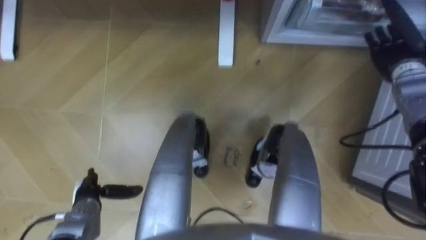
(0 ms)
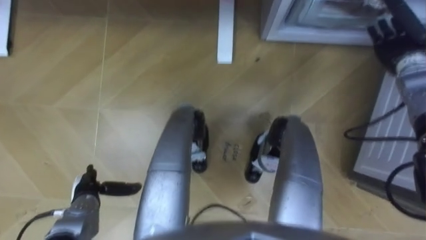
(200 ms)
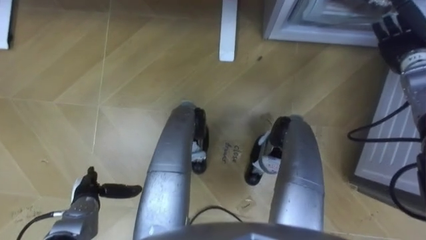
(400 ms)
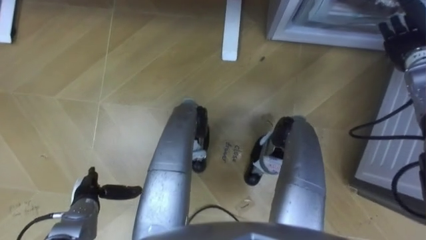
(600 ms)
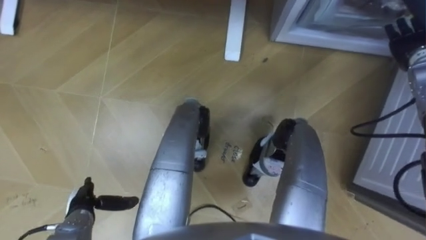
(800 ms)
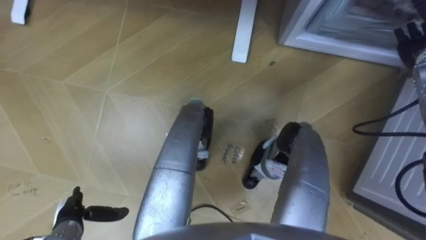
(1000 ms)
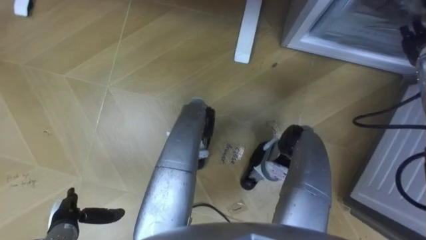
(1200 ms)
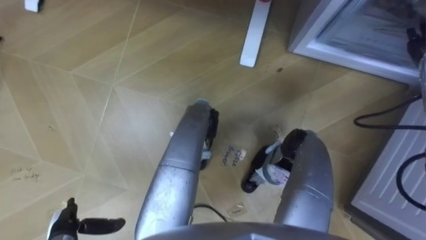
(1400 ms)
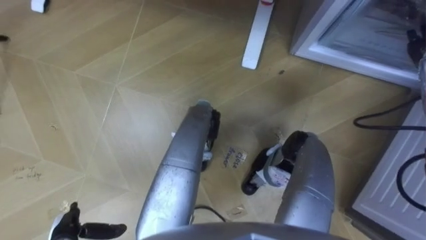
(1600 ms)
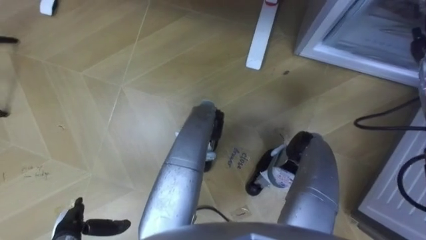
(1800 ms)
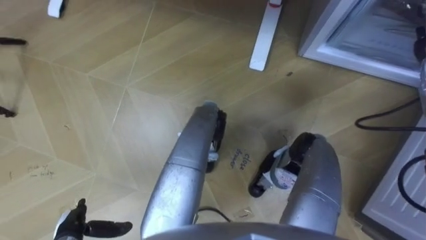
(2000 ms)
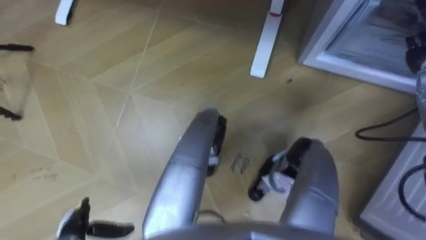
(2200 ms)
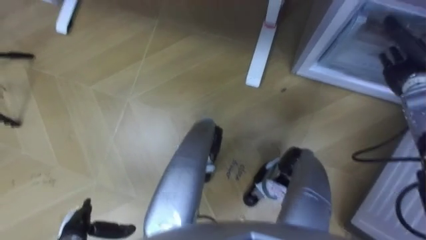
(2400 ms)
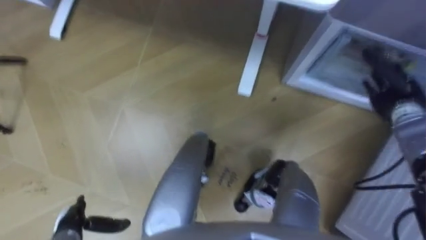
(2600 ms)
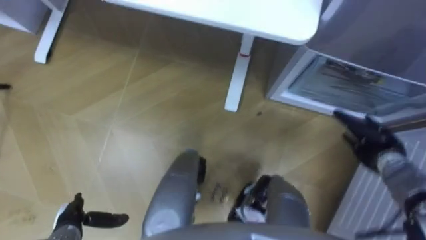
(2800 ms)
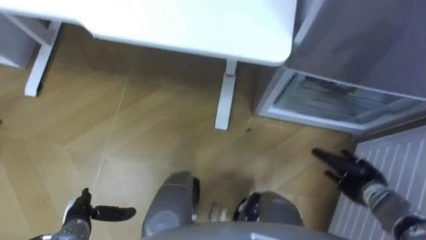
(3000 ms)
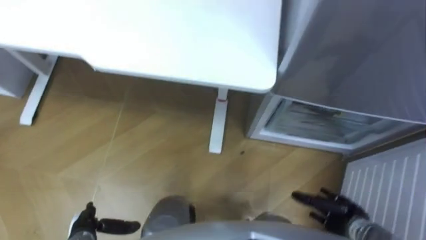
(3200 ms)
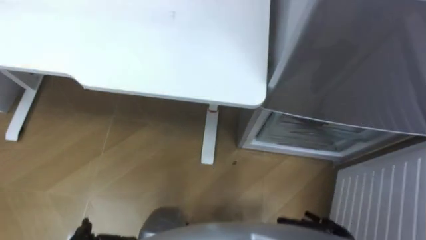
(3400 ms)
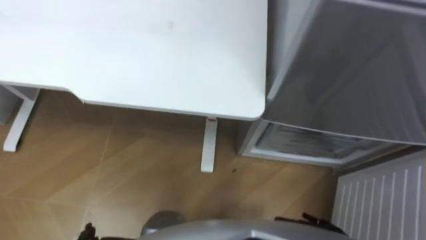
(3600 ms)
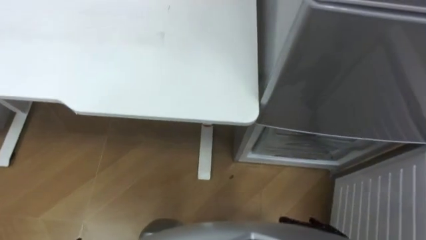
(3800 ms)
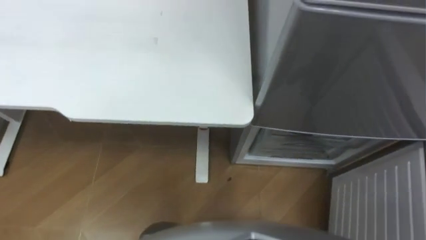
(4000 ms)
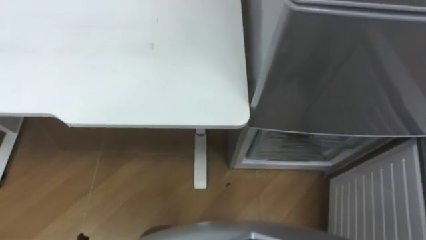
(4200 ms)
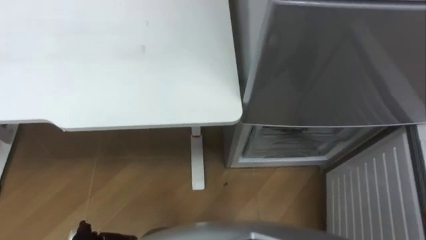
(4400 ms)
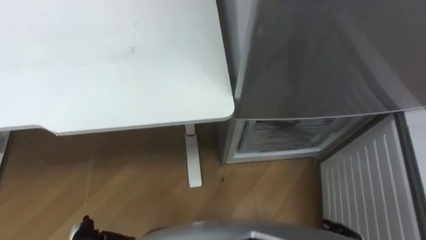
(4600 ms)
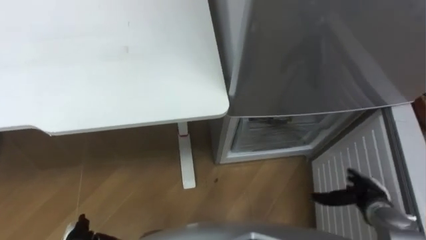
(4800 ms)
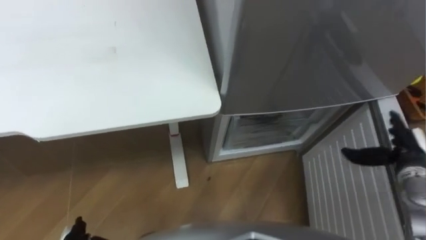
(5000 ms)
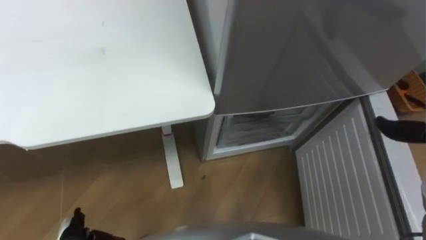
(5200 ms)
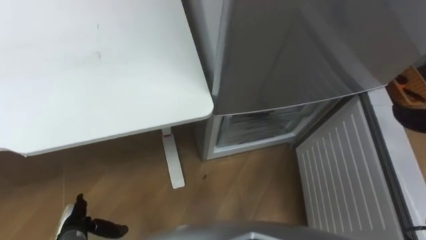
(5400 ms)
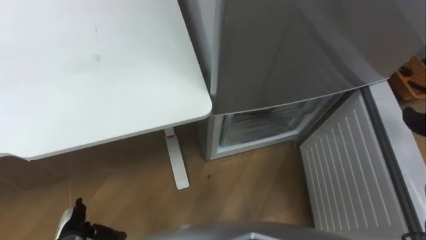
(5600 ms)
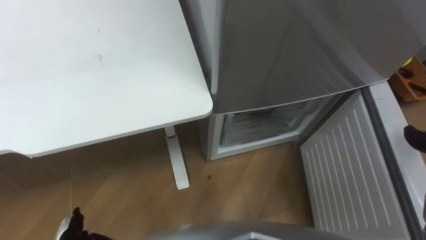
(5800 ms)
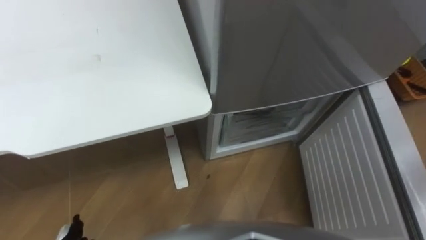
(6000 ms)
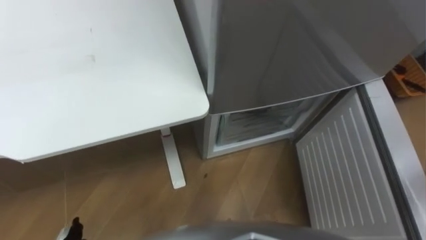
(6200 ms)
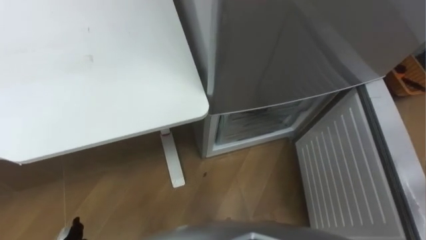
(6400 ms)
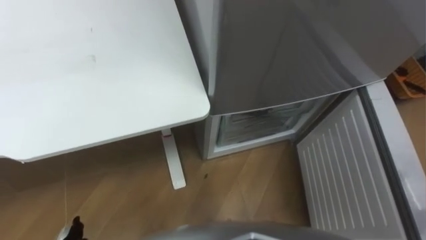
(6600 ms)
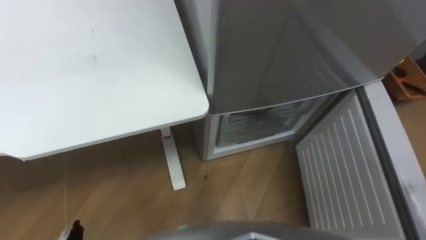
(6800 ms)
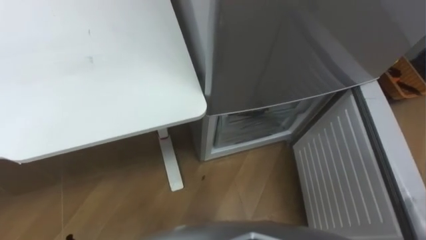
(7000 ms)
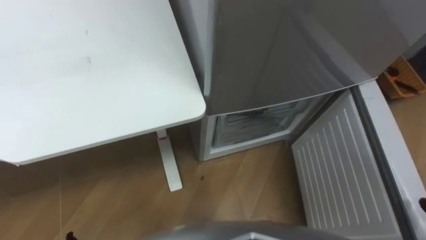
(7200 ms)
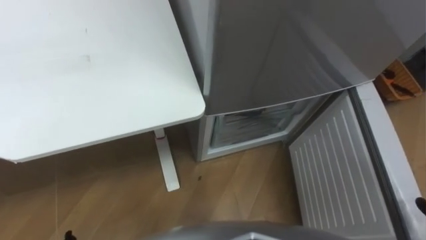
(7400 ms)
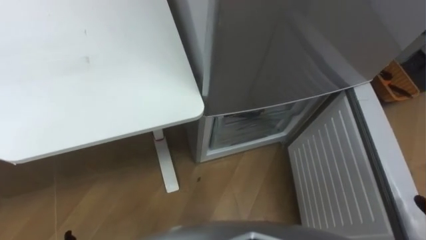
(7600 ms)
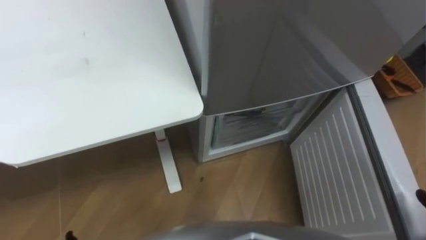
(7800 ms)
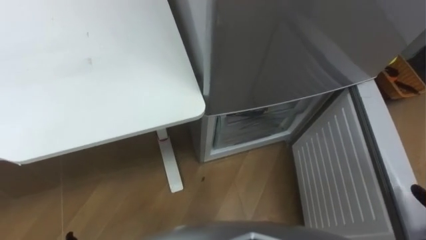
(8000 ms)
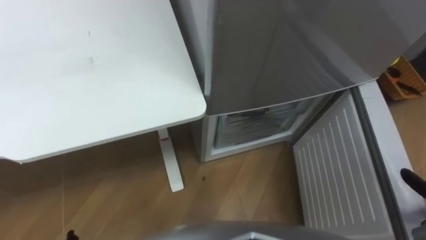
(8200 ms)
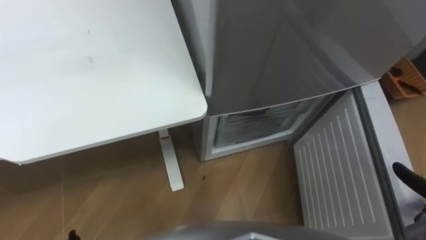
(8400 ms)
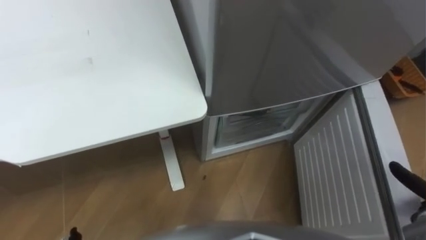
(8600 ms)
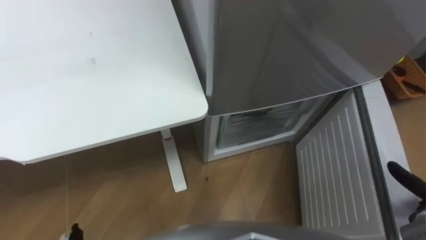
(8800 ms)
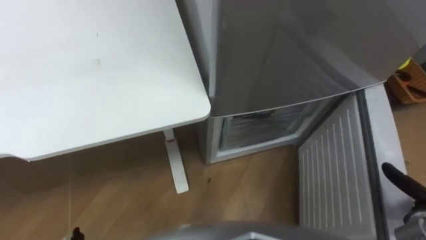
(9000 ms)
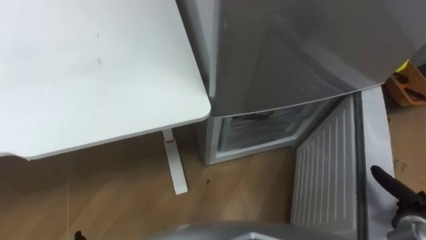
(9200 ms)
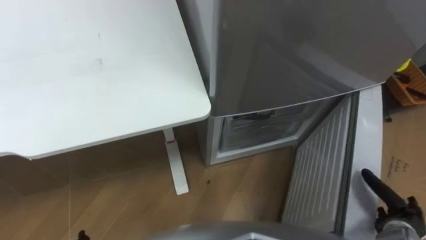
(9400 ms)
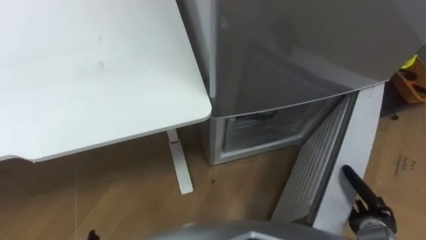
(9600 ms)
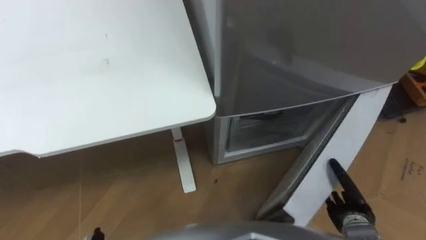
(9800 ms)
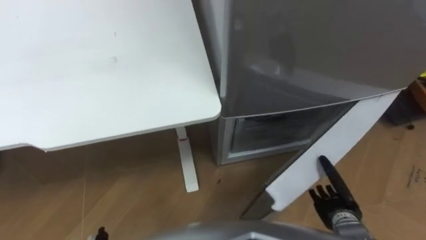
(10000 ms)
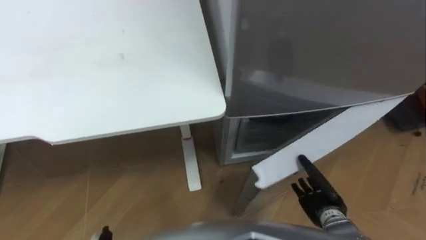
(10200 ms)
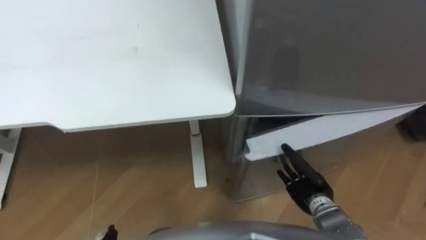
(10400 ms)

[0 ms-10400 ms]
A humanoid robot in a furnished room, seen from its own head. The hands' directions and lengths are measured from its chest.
Task of the whole recording: Place the drink on the table on the bottom shelf of the refrigerator, then close the drawer and the refrigerator door.
0 ms to 1400 ms: The left hand goes roughly 5 cm backward.
9000 ms to 10400 ms: The right hand shifts some 20 cm to the left.

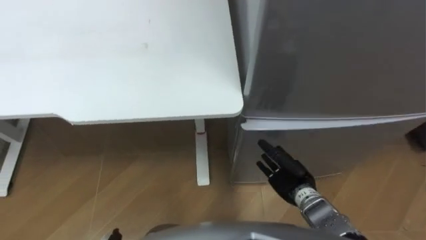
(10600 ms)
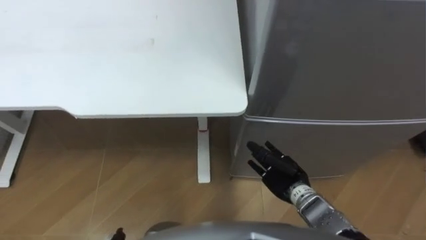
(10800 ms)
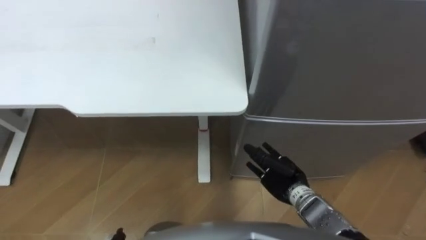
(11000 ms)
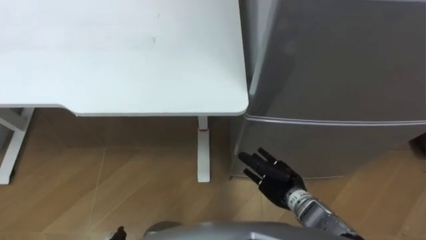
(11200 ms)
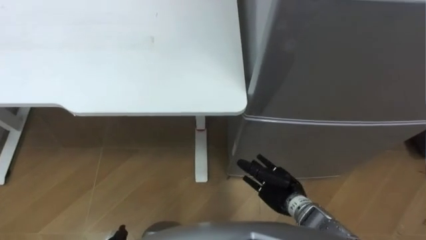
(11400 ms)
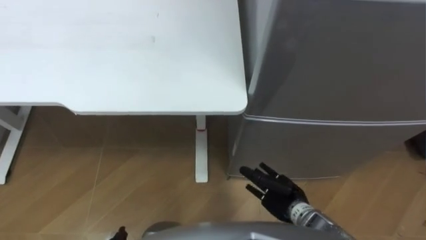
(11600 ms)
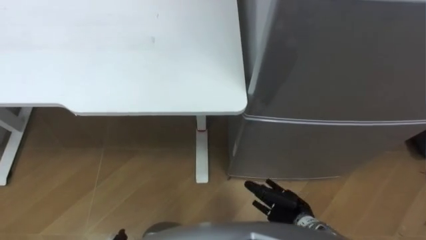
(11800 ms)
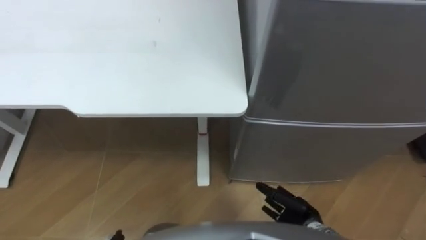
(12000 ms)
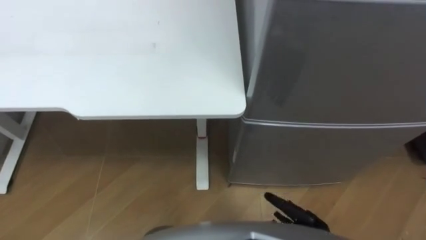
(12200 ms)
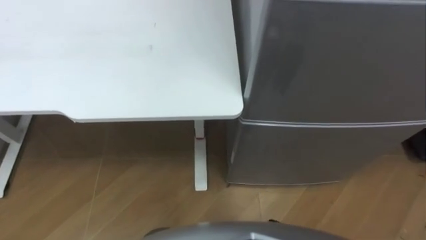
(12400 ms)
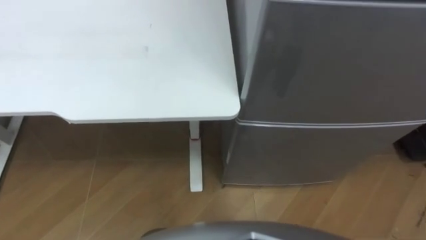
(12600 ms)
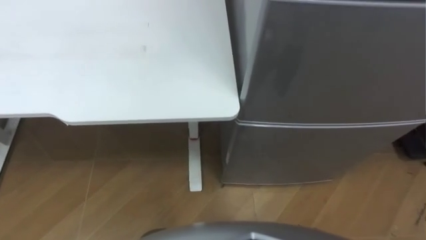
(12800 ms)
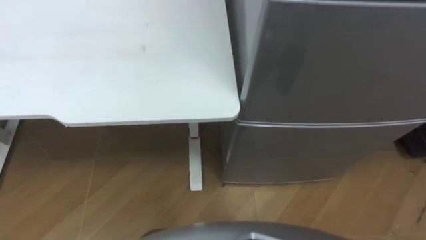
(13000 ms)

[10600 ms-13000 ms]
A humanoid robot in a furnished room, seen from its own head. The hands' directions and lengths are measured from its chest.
Task of the whole recording: Place the drink on the table on the bottom shelf of the refrigerator, then close the drawer and the refrigerator door.
10600 ms to 11800 ms: The right hand moves backward, approximately 5 cm.

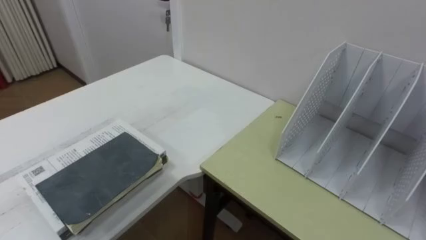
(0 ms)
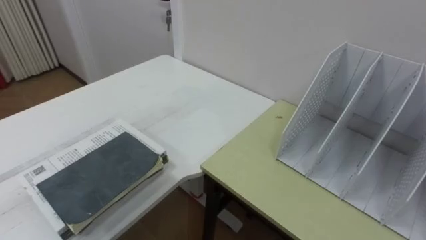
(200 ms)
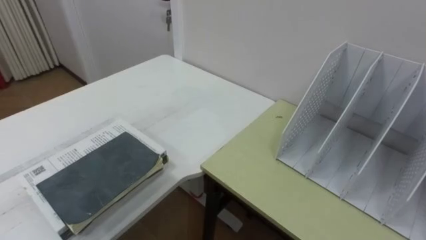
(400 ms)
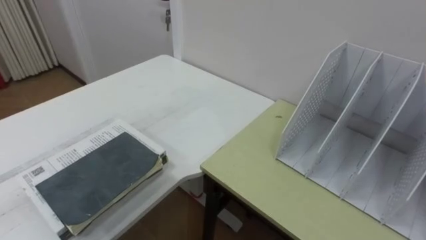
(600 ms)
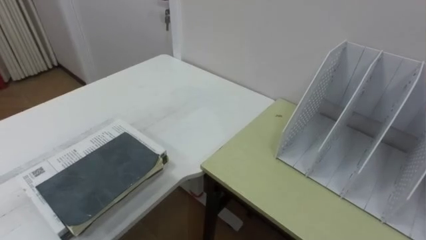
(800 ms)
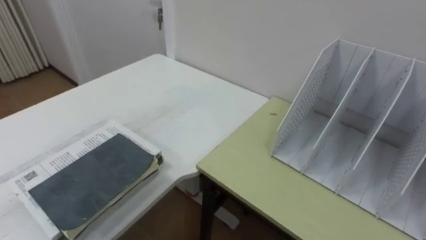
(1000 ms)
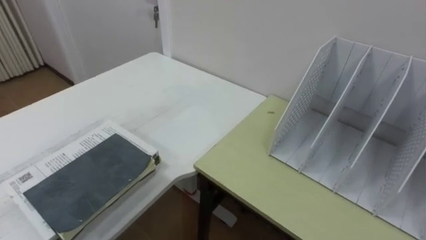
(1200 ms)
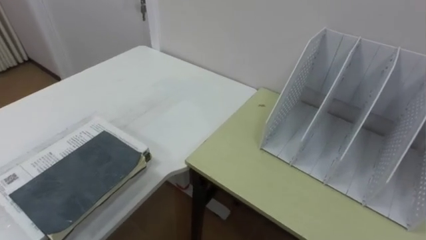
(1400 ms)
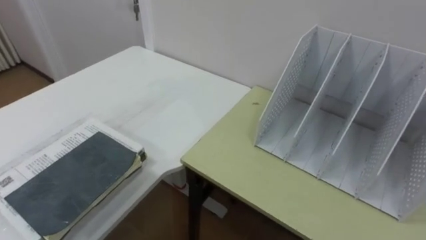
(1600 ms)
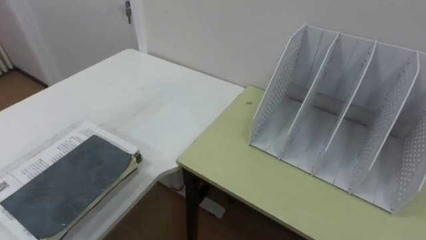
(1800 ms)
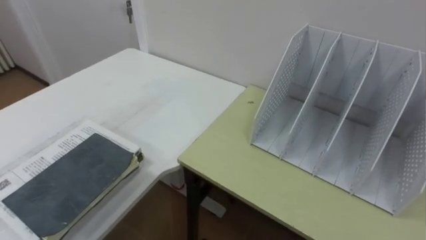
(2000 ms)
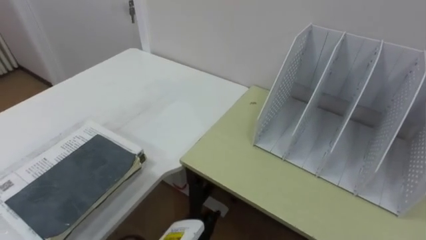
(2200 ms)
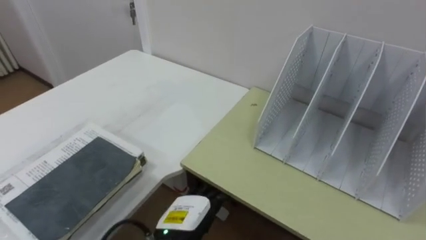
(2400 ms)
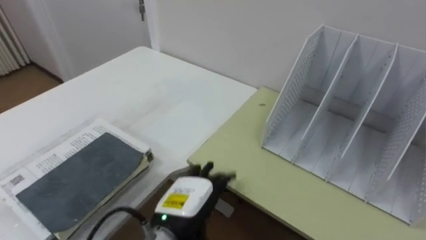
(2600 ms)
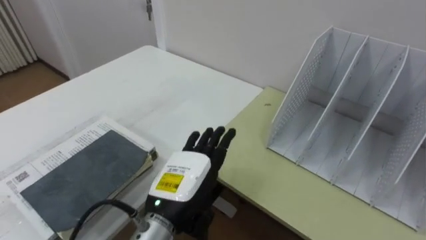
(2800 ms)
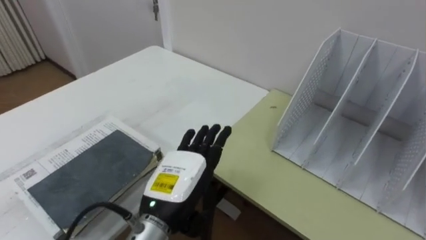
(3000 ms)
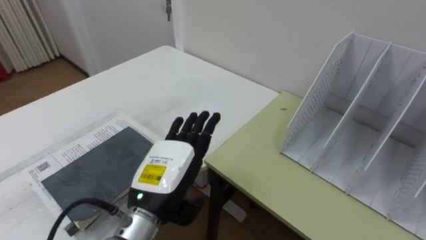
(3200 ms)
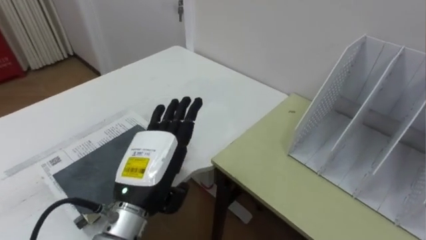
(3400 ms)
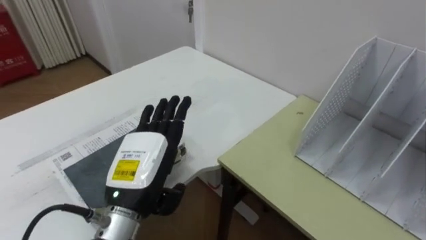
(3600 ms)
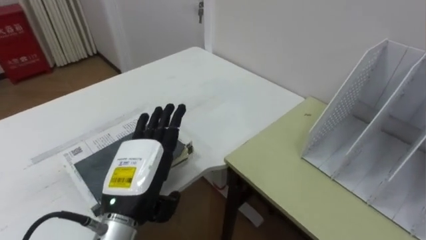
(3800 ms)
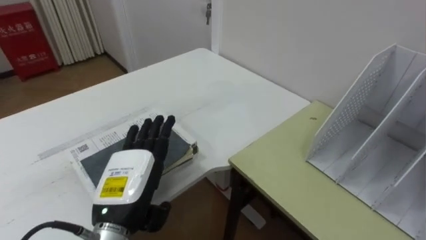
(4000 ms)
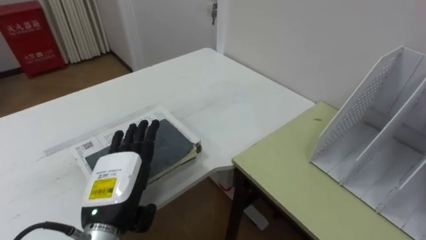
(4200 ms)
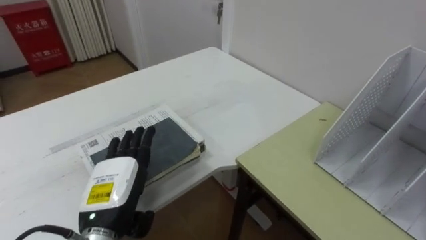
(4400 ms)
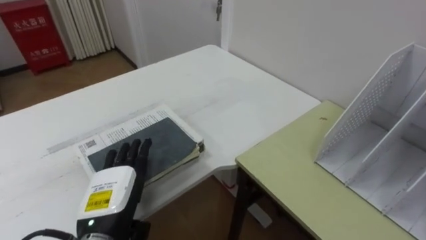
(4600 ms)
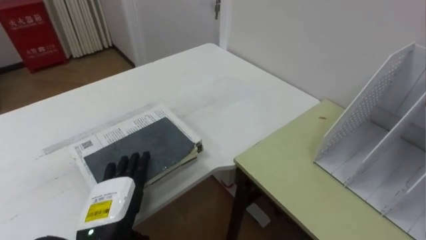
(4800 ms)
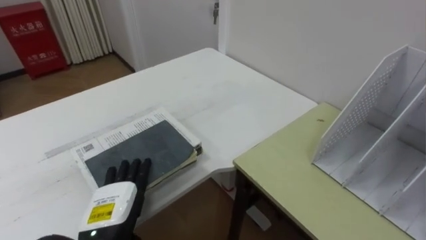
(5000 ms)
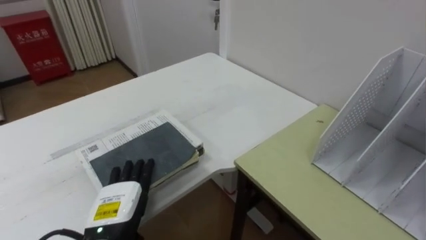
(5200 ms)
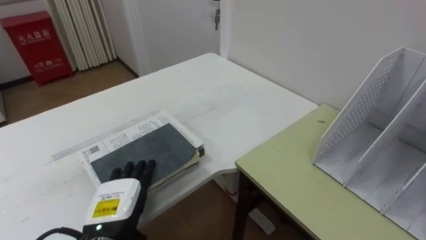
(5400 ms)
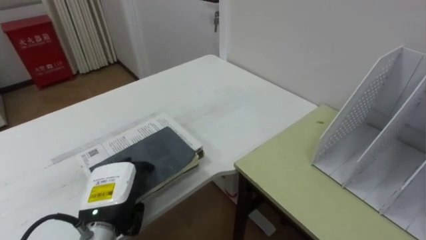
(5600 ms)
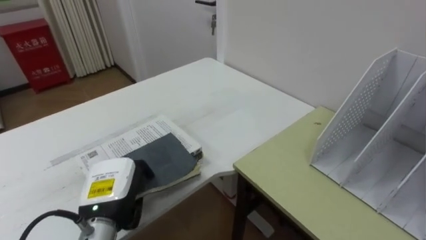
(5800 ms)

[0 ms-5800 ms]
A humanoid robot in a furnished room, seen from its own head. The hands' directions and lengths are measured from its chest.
Task of the whole recording: Put the books on the table onto the bookshelf.
2800 ms to 4400 ms: The left hand travels to the left by approximately 10 cm.
4400 ms to 5800 ms: The left hand closes.
